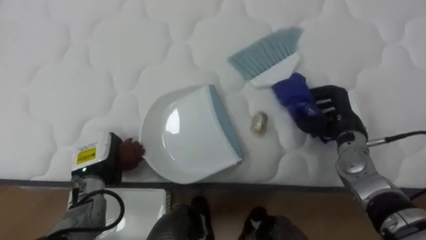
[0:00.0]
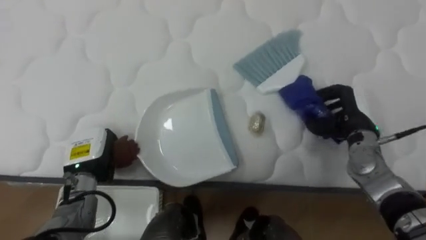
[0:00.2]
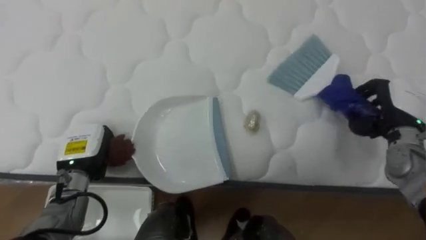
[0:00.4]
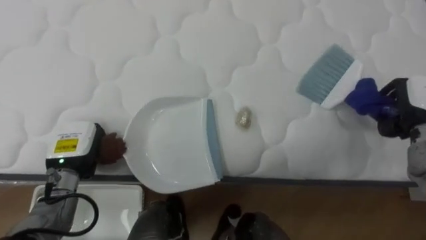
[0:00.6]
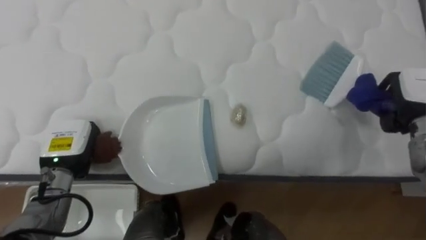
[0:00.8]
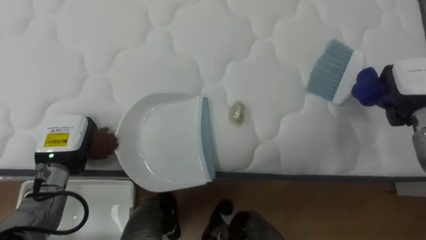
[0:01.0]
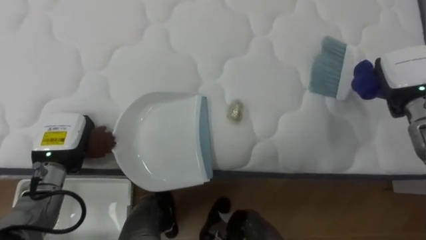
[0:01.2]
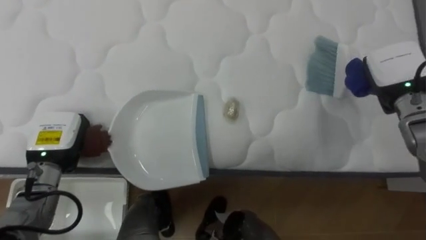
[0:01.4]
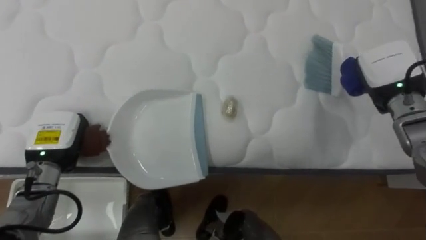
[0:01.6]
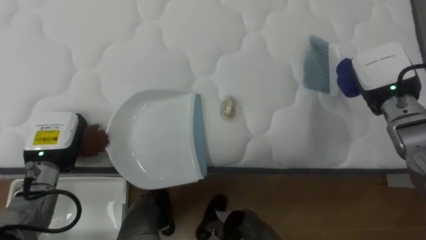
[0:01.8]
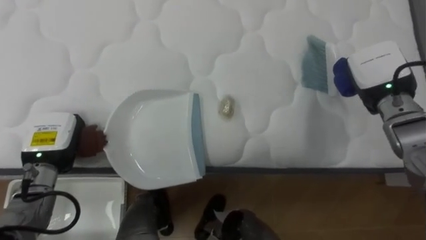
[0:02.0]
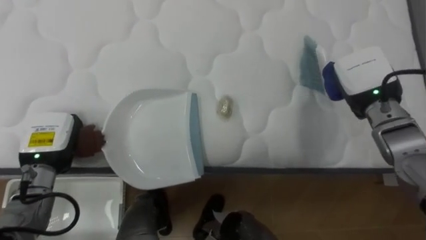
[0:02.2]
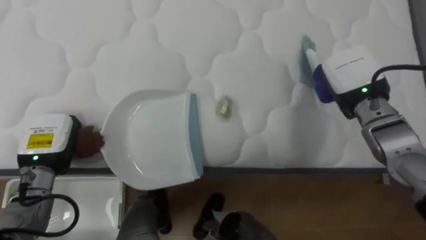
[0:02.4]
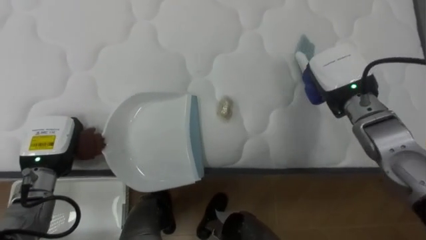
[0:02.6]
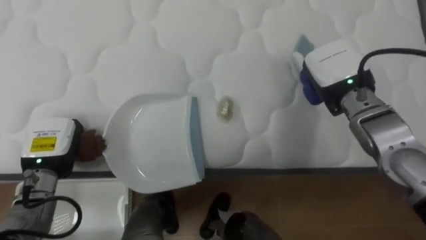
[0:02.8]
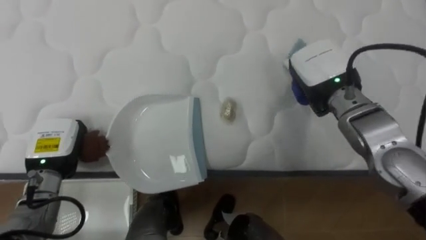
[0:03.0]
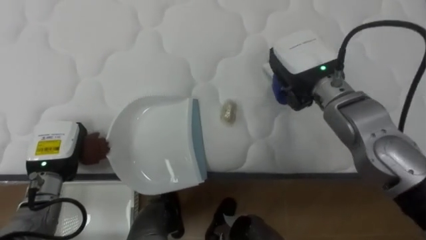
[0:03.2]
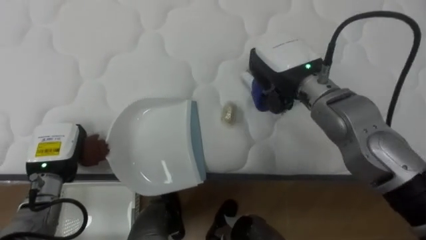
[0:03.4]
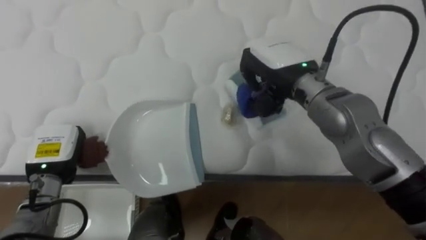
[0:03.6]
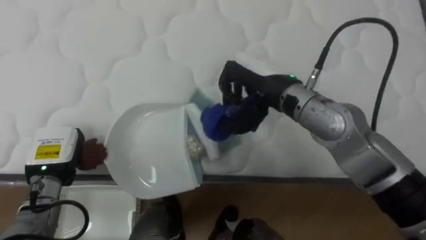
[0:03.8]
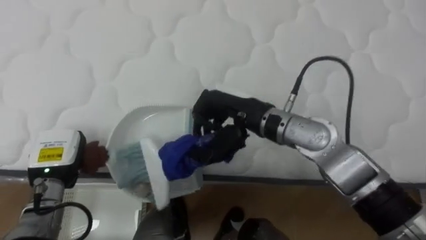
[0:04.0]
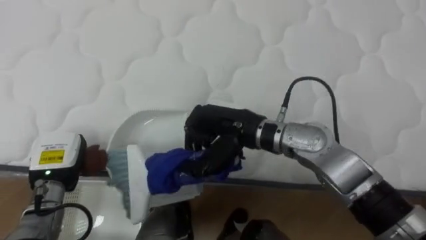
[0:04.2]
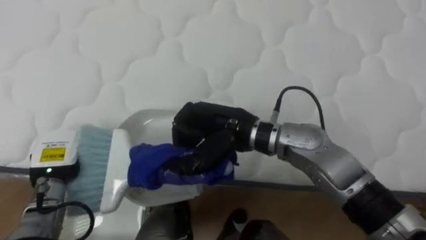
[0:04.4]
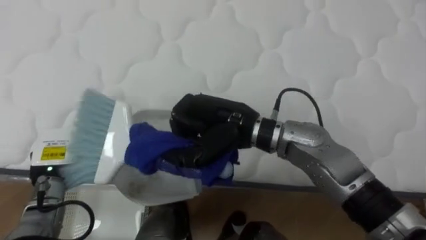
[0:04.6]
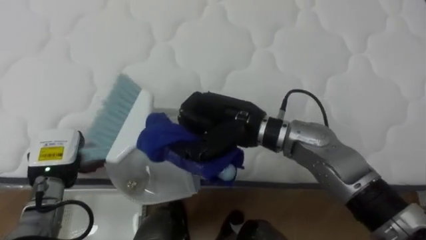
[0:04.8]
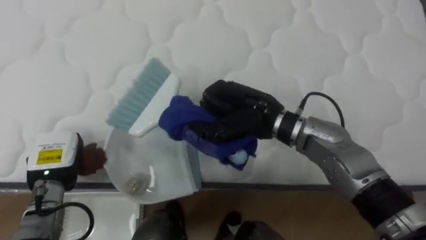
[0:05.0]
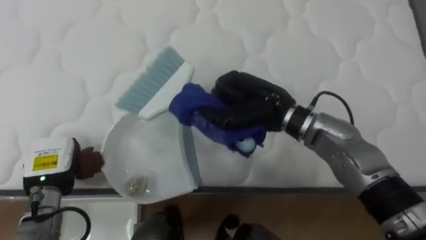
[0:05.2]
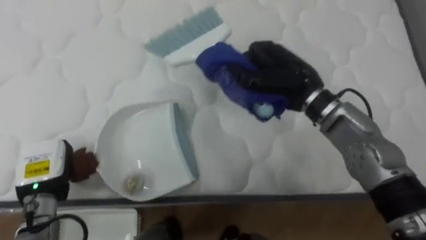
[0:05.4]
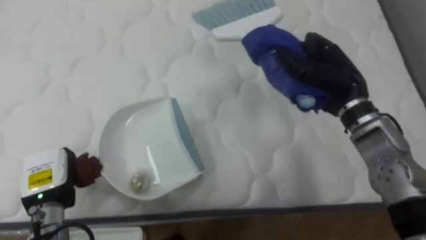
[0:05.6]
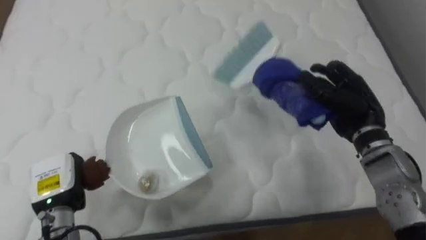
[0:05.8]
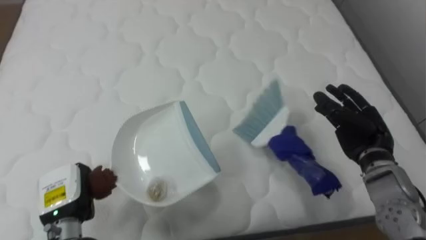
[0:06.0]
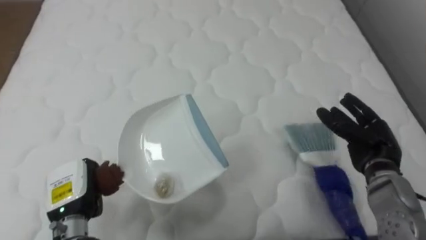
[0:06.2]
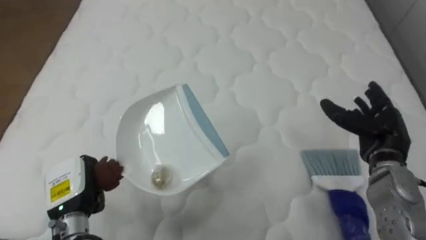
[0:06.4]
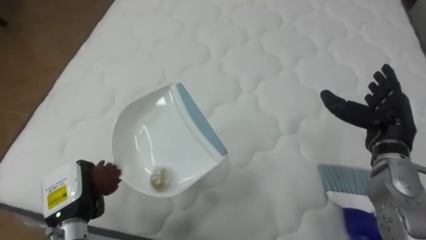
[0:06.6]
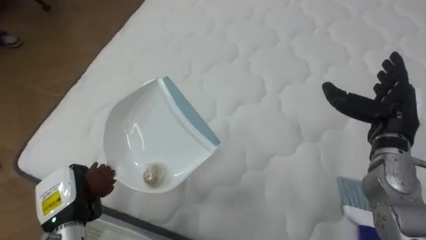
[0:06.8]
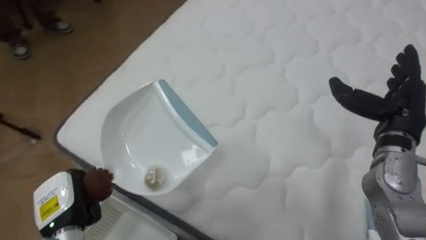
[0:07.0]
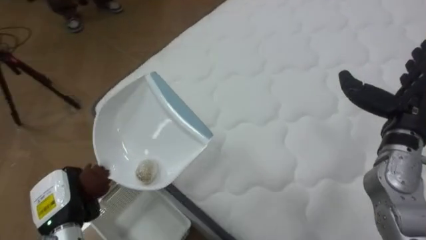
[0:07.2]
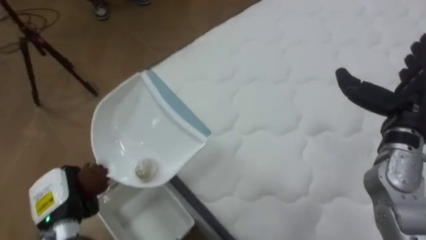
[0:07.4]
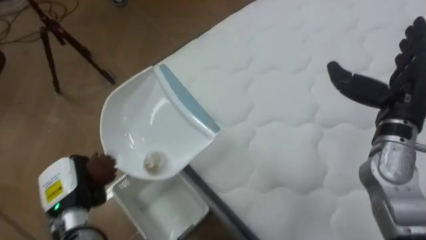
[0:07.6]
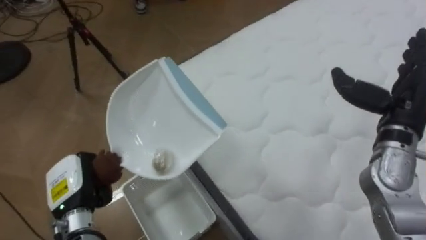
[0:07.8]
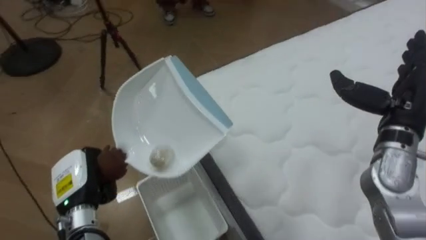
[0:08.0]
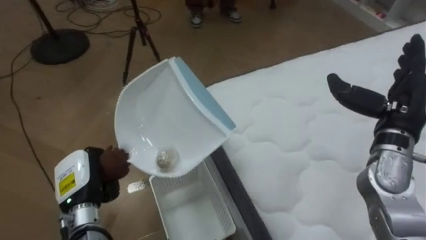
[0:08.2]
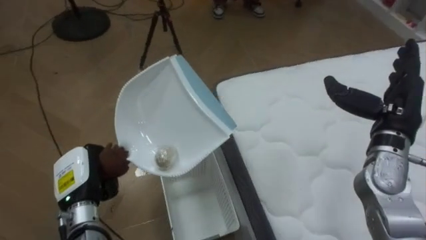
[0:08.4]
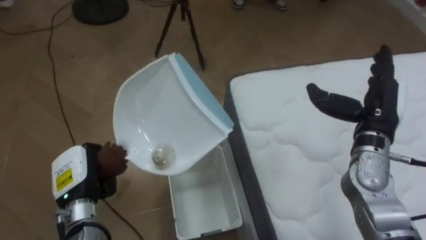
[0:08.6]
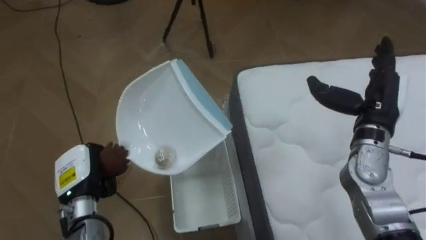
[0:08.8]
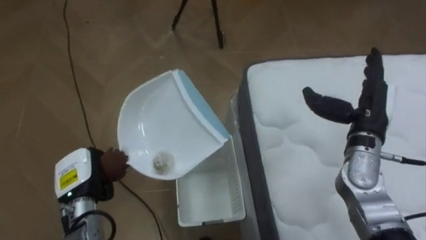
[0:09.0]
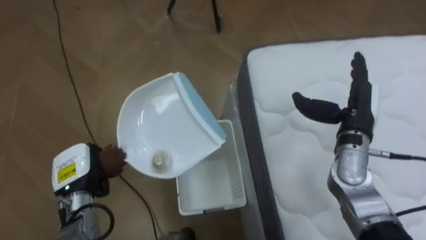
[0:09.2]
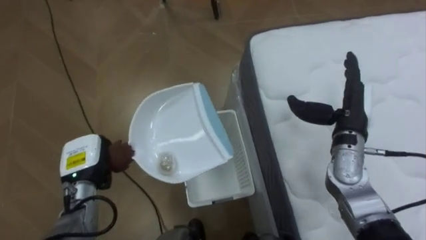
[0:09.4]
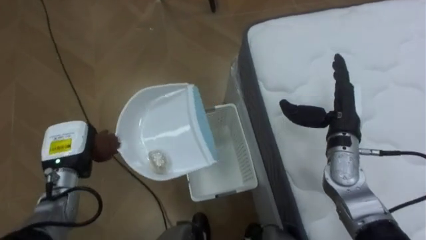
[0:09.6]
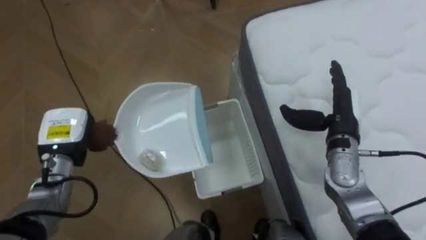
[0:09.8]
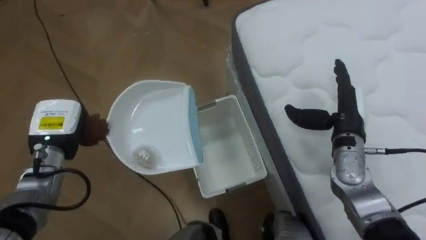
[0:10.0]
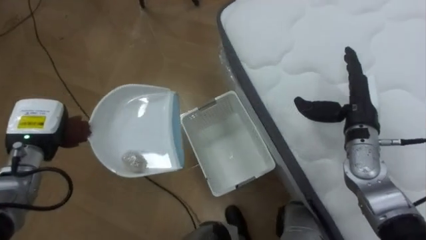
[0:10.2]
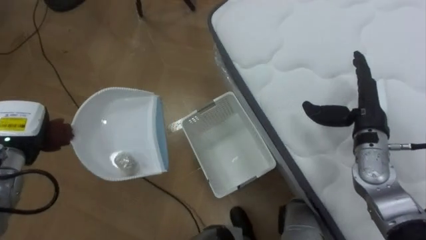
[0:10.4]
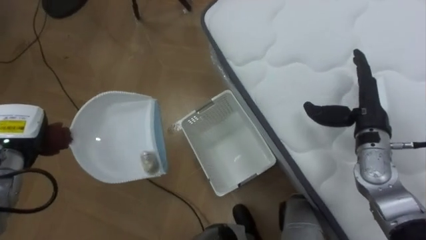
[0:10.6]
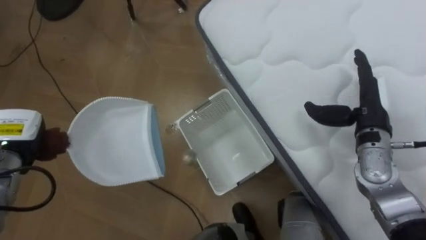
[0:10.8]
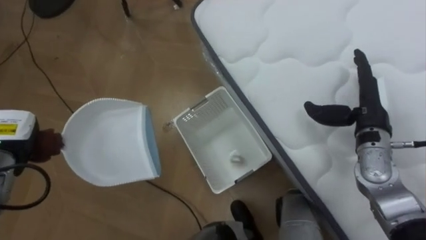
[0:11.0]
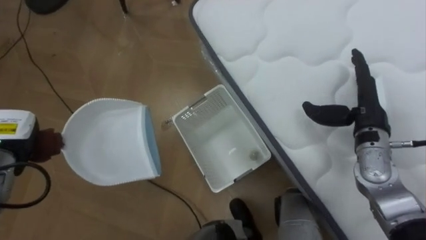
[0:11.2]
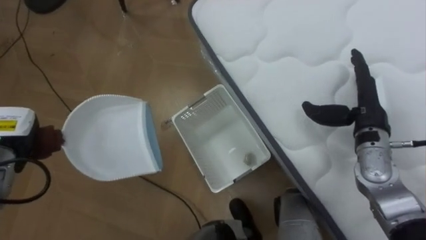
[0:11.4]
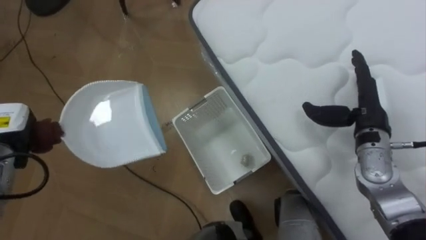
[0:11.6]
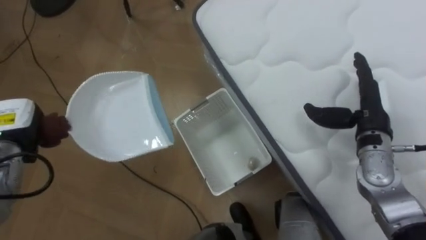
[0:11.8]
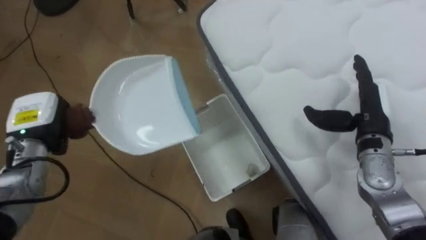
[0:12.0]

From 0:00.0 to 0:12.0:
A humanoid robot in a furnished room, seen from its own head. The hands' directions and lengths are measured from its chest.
Task of the whole recording: Pick up the brush on your right and the dustpan on your left. Use the brush to sweep the crumpled paper on the bed into the dustpan, then turn left and empty it into the basket.
From 0:00.0 to 0:01.6: The left hand heads upward and to the left, covering roughly 10 cm. The right hand goes some 10 cm upward.
From 0:01.6 to 0:03.0: The right hand travels to the left by approximately 15 cm.
From 0:03.0 to 0:04.4: The right hand is displaced to the left and backward by about 20 cm.
From 0:04.4 to 0:06.0: The right hand heads to the right, covering about 30 cm, and opens up. The left hand heads backward, covering about 5 cm.
From 0:06.0 to 0:07.6: The robot rotates approximately 50 degrees to its left. The right hand is displaced upward by roughly 10 cm, and opens up.
From 0:07.6 to 0:09.0: The robot rotates some 35 degrees to its left. The right hand moves downward, roughly 5 cm.
From 0:09.0 to 0:10.4: The left hand heads to the left, upward and forward, covering approximately 15 cm.

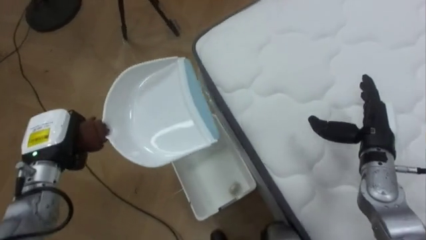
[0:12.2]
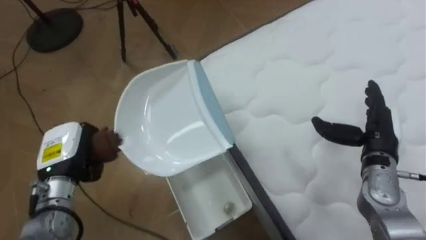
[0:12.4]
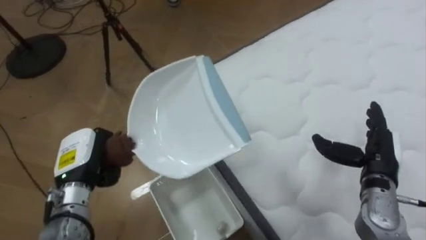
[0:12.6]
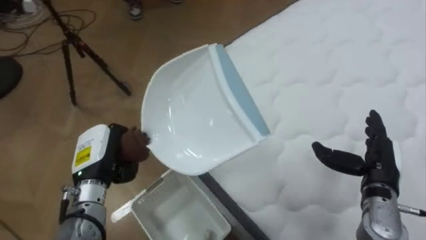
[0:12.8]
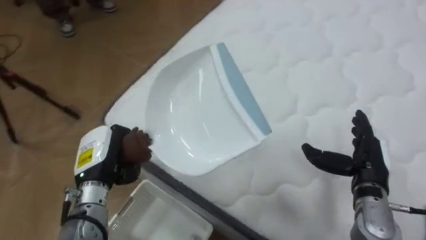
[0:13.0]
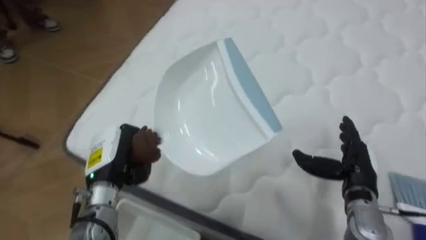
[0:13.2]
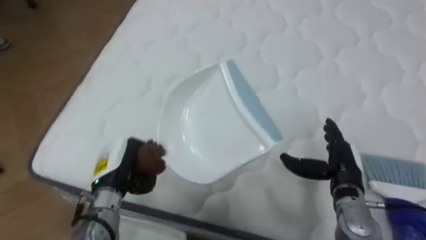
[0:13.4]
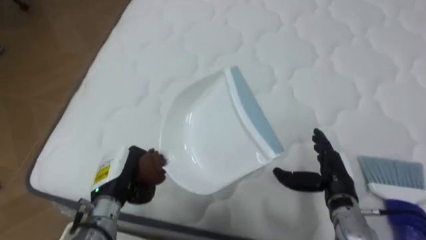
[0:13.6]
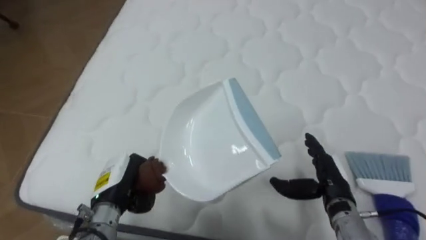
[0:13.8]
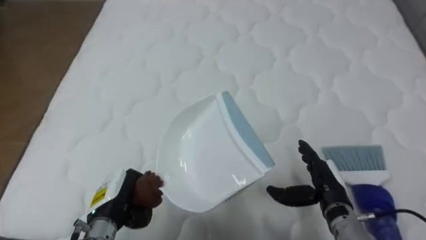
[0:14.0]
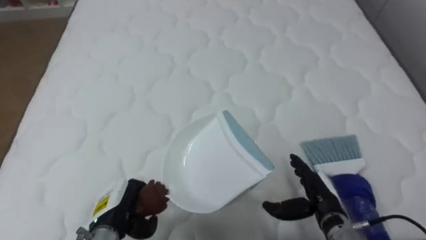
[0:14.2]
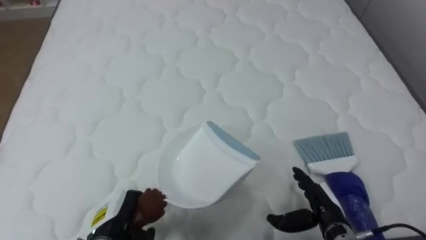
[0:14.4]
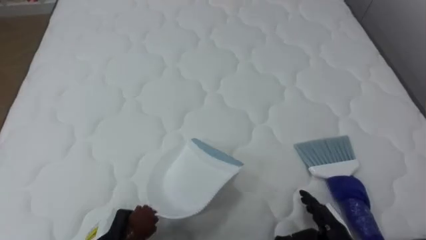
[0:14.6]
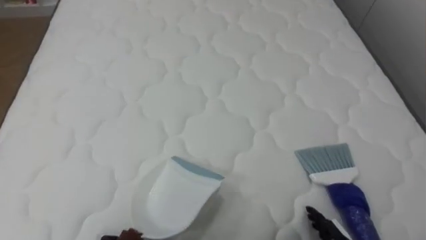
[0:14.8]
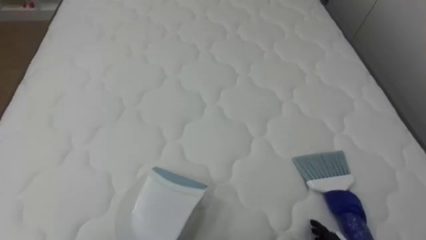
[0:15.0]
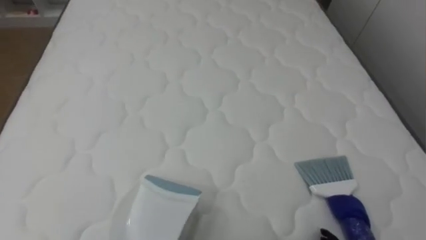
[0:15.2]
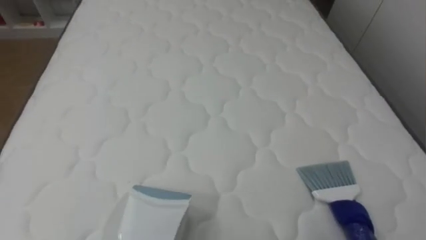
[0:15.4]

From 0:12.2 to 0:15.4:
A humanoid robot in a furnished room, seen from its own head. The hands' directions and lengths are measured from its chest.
Task of the whole recording: Pick up the brush on your right and the dustpan on your left. Use the brush to sweep the crumpled paper on the bed into the dustpan, then turn left and empty it into the basket.
From 0:12.2 to 0:13.8: The robot faces approximately 60 degrees further to its right. The right hand shifts some 10 cm downward, to the left and backward. The left hand is displaced to the right, downward and backward by about 15 cm.
From 0:13.8 to 0:15.4: The robot faces approximately 15 degrees further to its right.

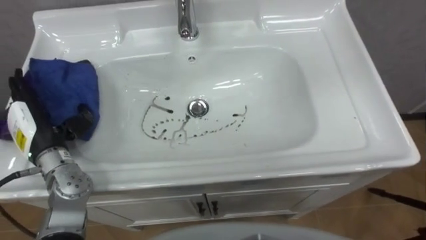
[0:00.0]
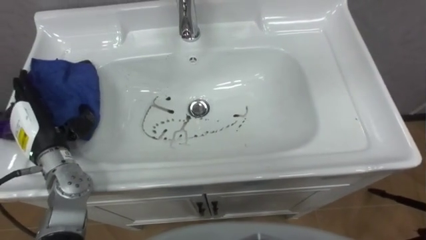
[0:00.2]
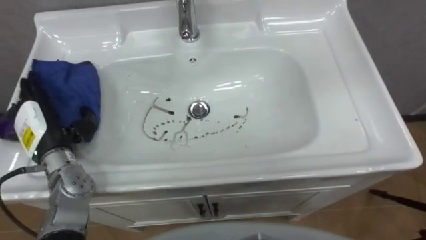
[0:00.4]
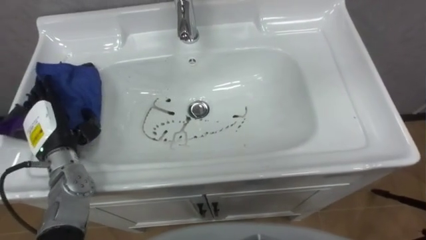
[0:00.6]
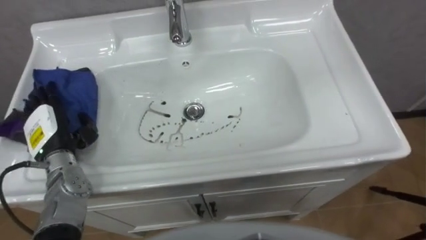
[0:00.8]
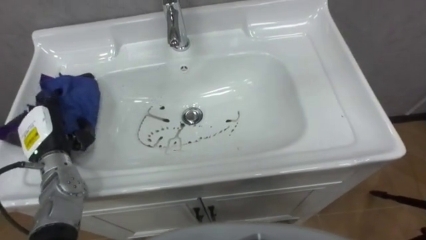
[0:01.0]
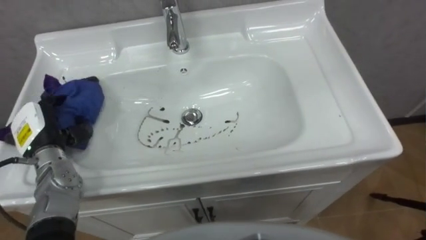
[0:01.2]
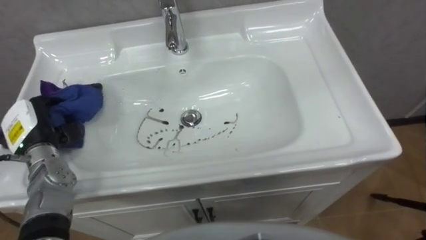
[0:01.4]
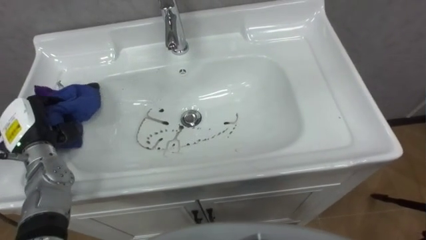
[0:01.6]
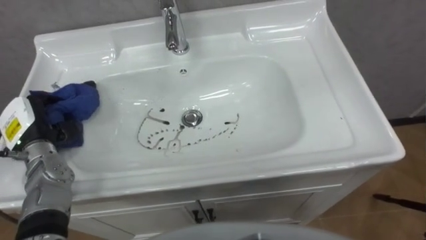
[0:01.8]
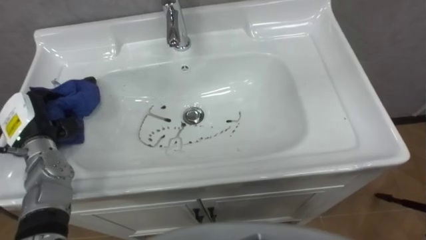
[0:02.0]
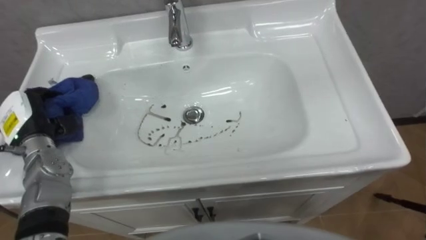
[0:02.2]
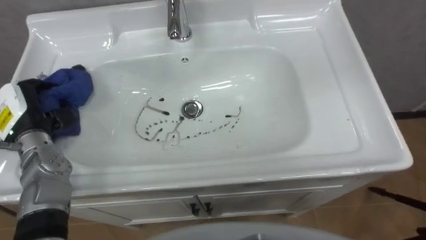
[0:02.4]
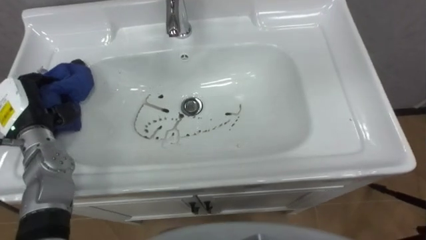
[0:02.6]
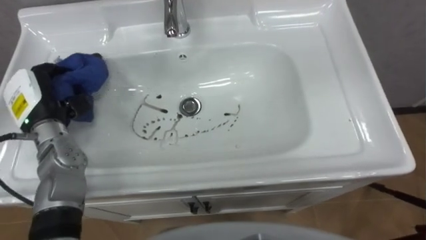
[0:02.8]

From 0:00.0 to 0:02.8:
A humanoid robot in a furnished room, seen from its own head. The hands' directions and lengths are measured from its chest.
Task of the whole recording: Use the cloth on the right to wipe away the black stain in the sink.
From 0:00.0 to 0:01.4: The left hand closes its fingers.
From 0:01.4 to 0:02.8: The left hand goes some 5 cm upward.
